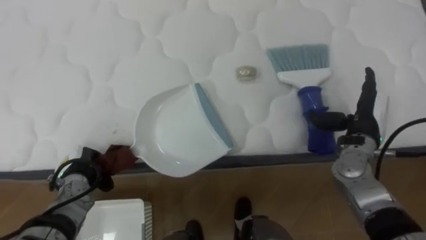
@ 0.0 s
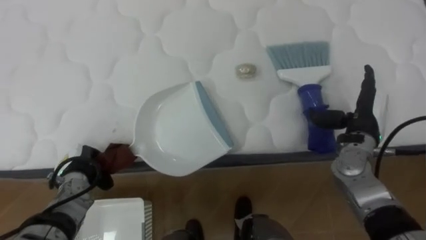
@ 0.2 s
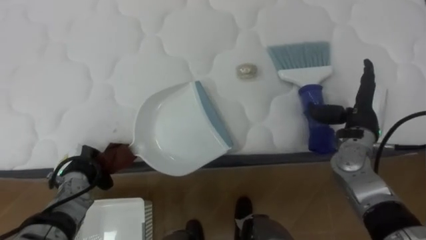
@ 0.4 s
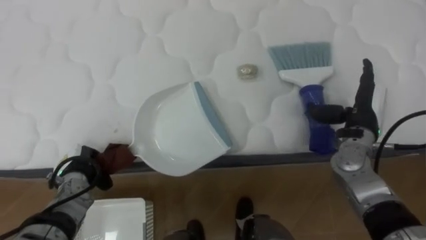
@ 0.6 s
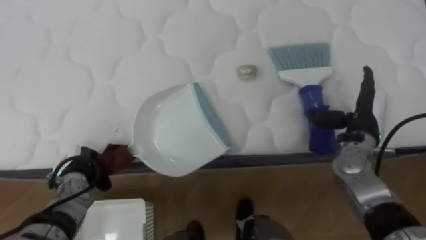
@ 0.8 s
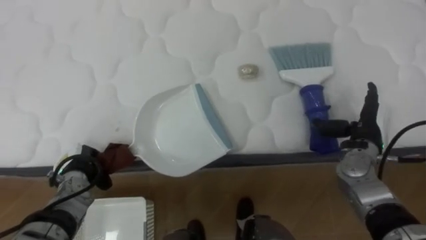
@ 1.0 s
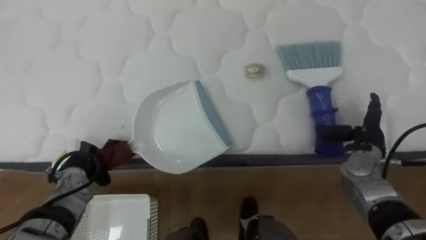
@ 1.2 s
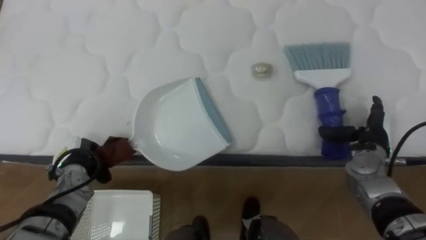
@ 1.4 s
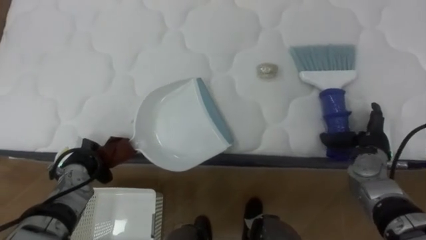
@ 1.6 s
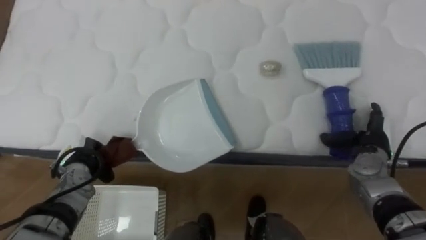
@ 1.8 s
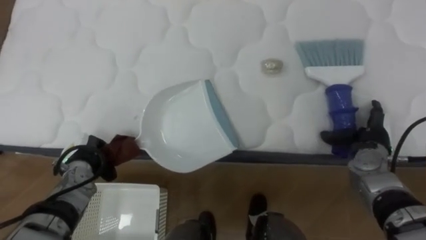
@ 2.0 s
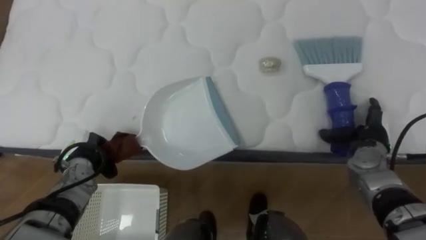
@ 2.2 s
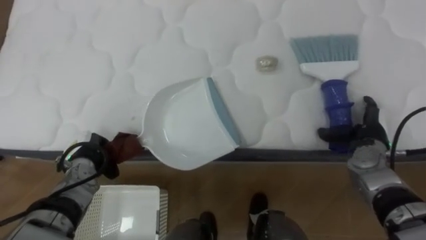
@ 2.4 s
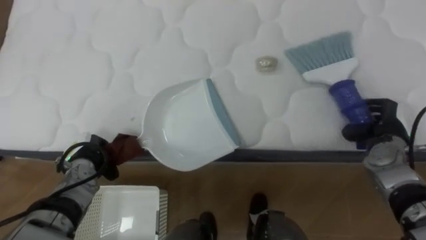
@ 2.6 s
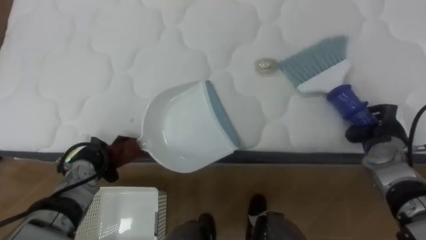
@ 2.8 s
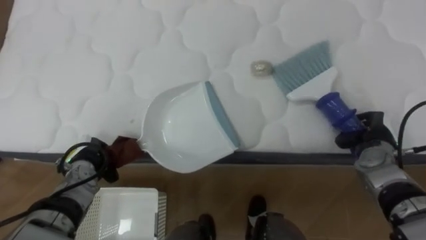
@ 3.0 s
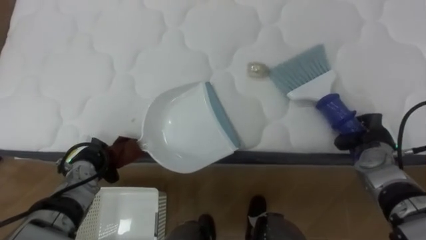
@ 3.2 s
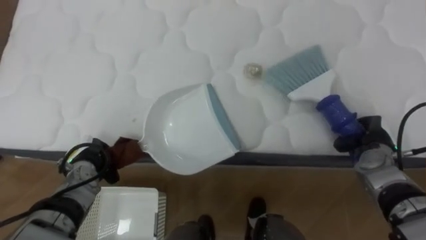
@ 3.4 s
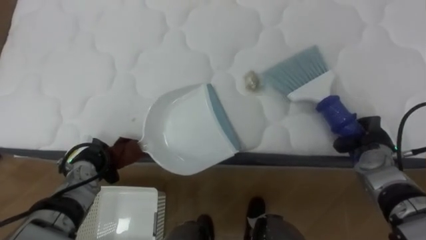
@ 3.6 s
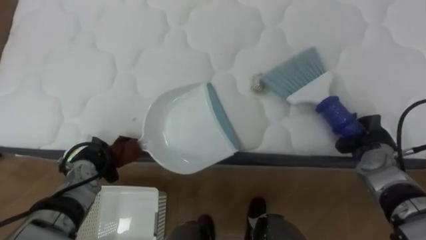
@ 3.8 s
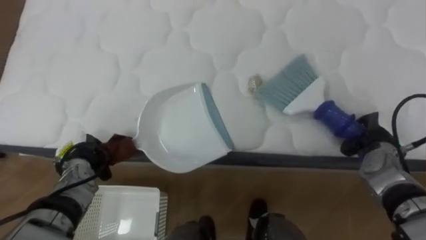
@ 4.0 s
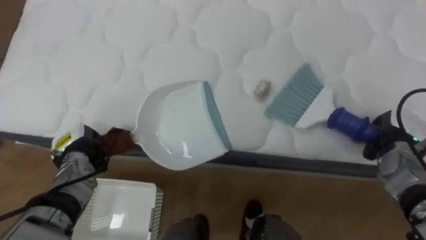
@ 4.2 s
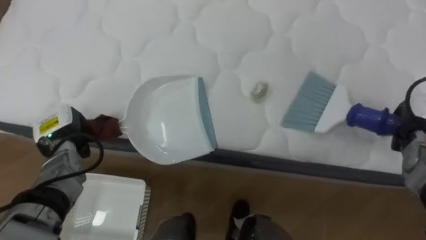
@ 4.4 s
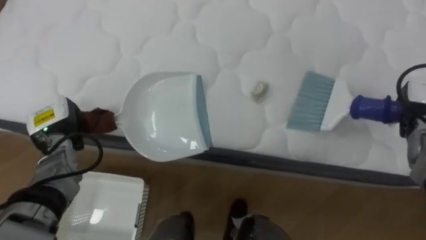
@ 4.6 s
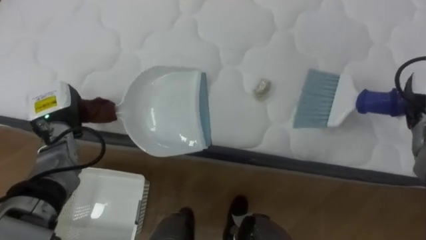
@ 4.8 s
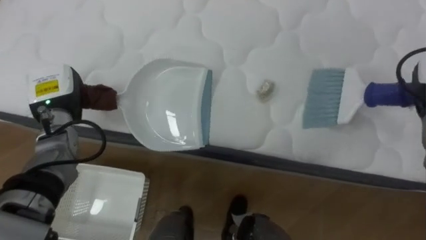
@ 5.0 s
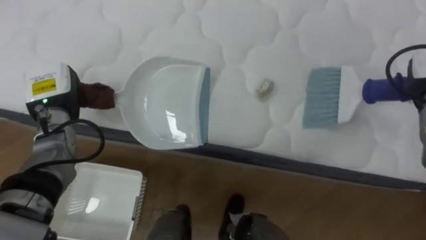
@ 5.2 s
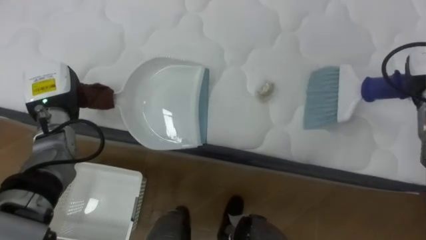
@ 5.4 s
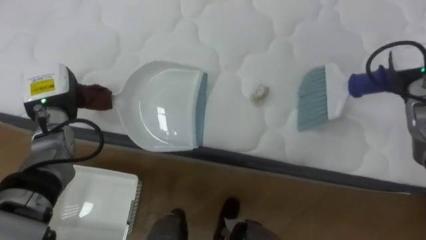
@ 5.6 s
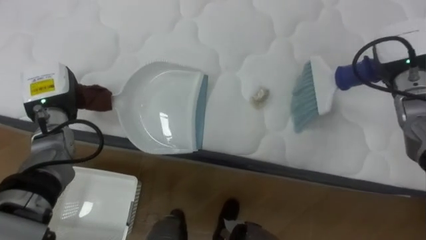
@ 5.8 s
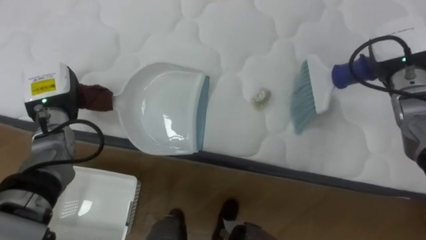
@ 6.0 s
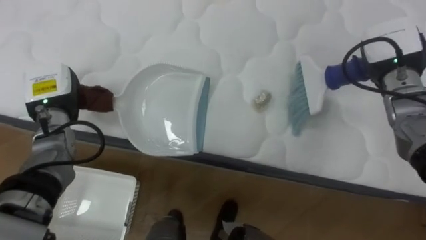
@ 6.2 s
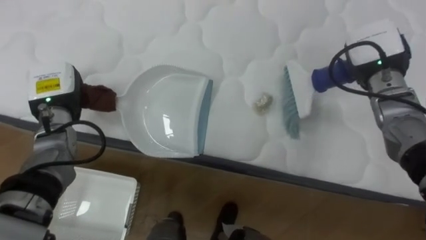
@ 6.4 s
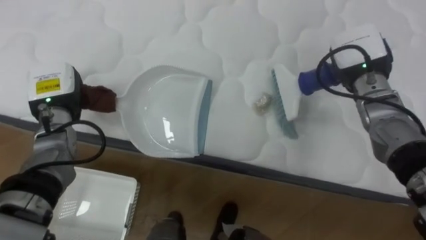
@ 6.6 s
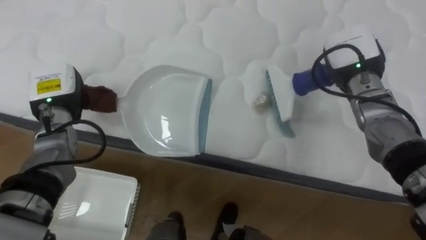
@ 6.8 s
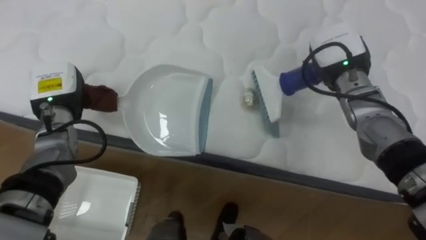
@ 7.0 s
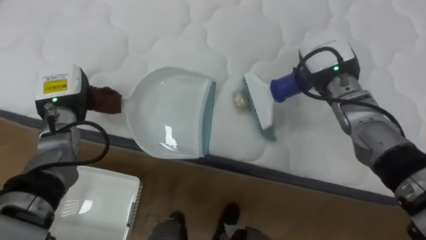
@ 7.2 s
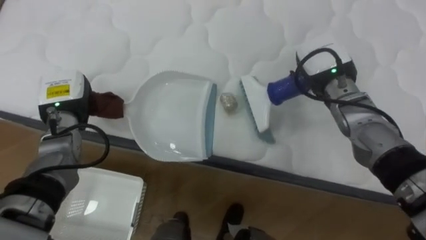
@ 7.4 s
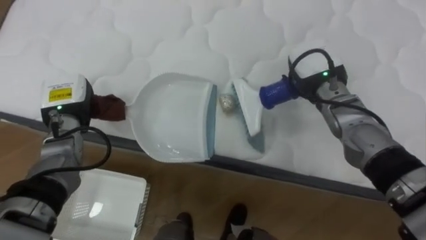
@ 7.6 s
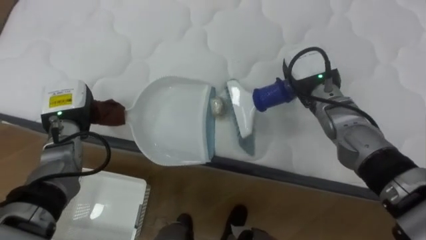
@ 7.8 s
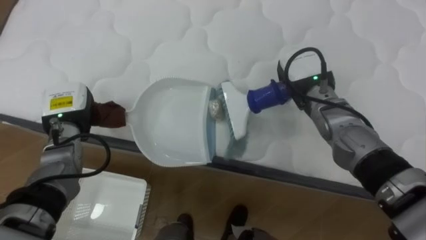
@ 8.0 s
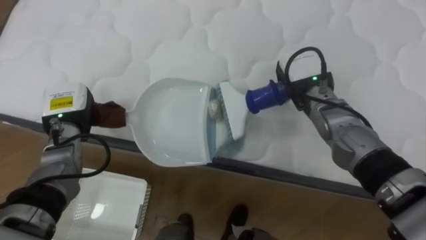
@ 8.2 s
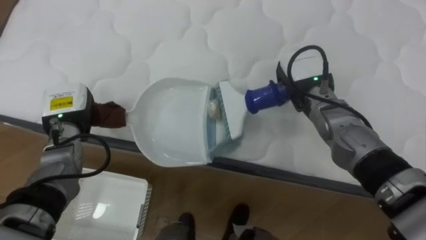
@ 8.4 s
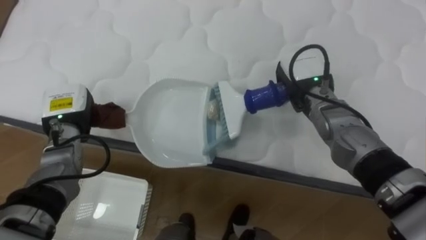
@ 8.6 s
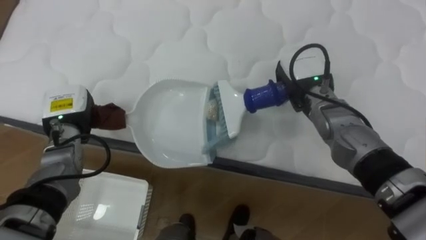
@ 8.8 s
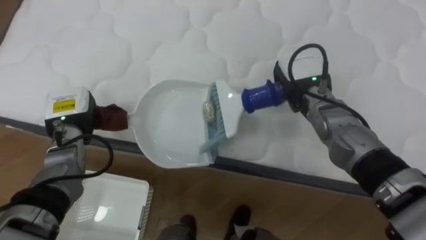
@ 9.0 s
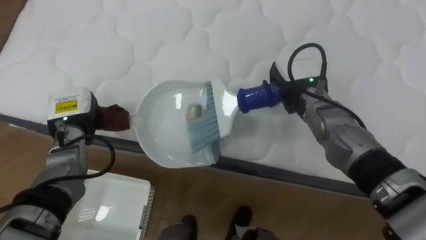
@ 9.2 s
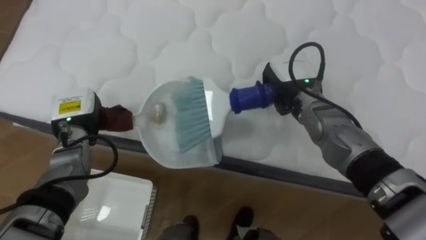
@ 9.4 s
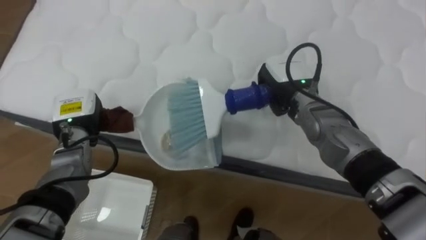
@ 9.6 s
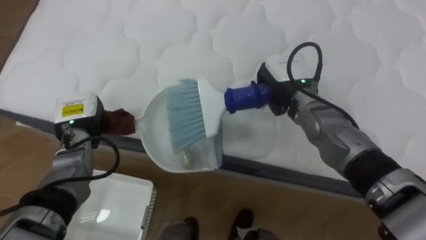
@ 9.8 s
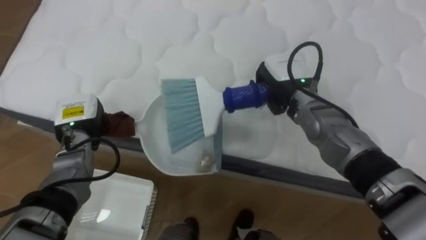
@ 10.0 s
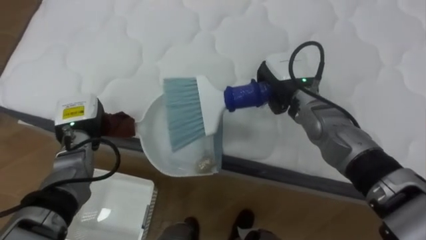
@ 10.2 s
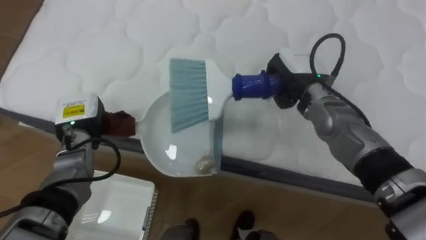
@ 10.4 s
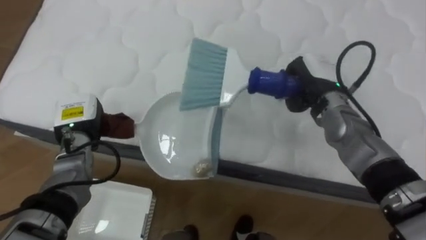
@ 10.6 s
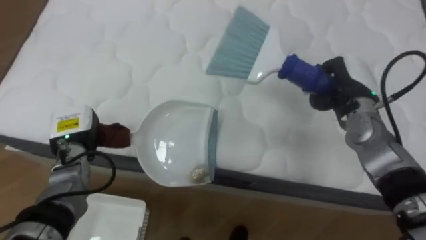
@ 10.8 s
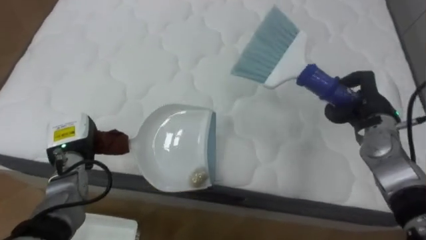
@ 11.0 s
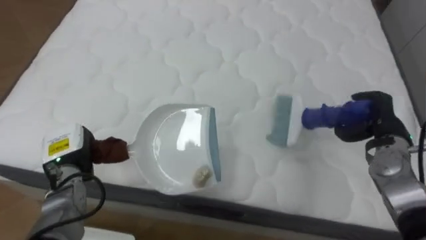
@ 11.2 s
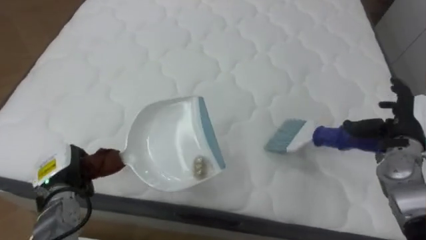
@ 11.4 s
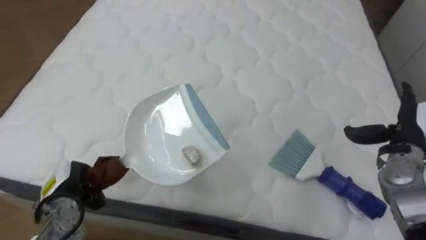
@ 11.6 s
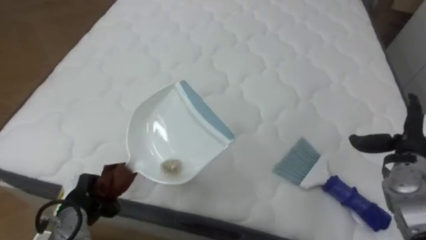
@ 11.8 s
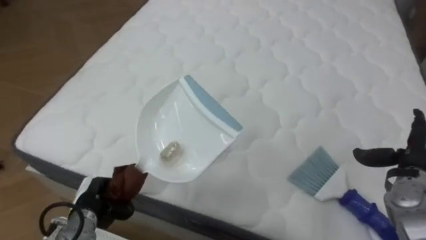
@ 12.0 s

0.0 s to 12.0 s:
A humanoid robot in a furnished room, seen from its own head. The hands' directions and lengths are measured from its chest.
Task of the whole recording: Pick up the brush on your right and the dustpan on your left. Use the brush to sweep the crumpled paper on the bed into the dustpan, then turn left and empty it into the basket.
0.0 to 1.6 s: The right hand shifts about 5 cm downward.
1.6 to 3.0 s: The right hand closes its fingers.
3.0 to 4.4 s: The right hand travels to the right by approximately 5 cm. The left hand travels upward by some 5 cm.
4.4 to 6.0 s: The left hand shifts roughly 10 cm upward.
6.0 to 7.6 s: The right hand is displaced to the left by some 15 cm.
10.4 to 12.0 s: The left hand heads backward and downward, covering about 20 cm. Meanwhile the right hand goes some 25 cm to the right, backward and downward, and opens up.

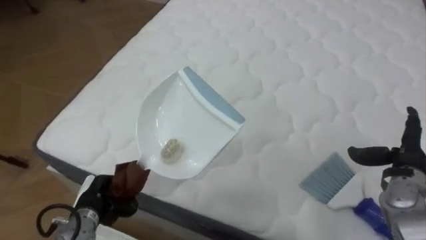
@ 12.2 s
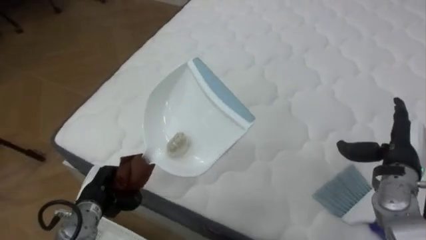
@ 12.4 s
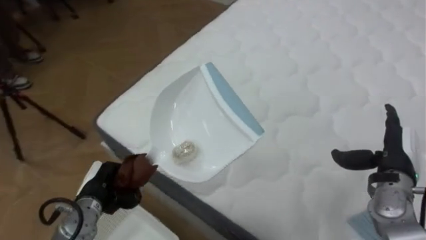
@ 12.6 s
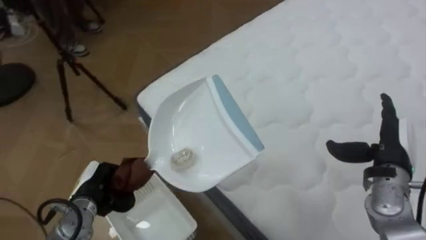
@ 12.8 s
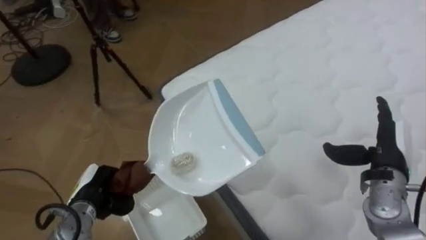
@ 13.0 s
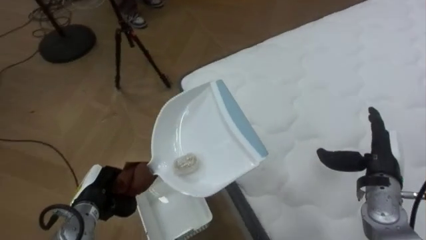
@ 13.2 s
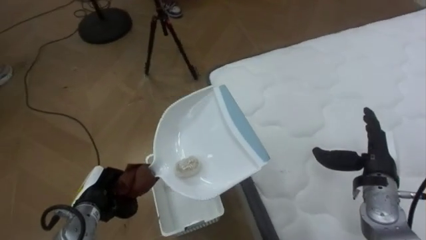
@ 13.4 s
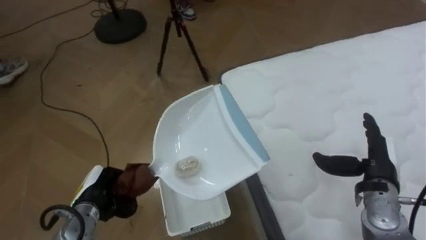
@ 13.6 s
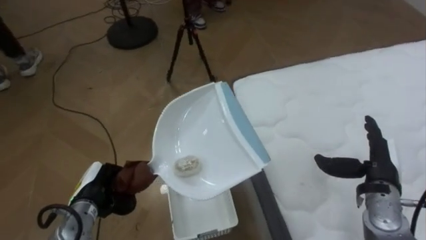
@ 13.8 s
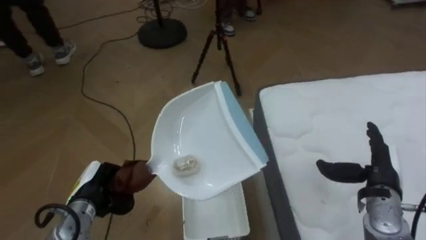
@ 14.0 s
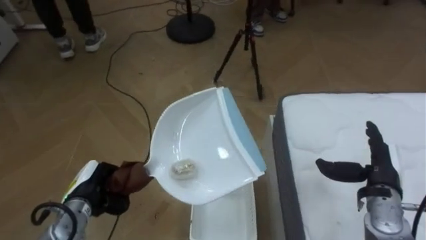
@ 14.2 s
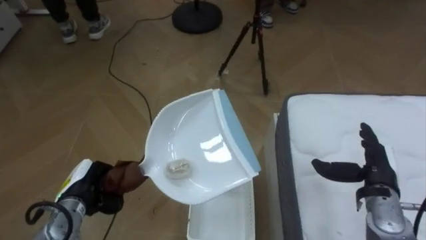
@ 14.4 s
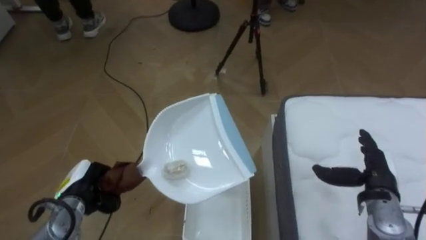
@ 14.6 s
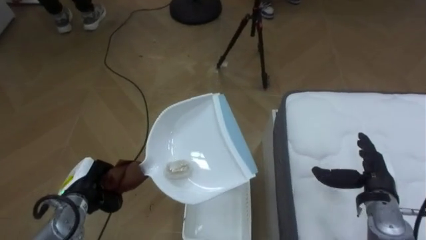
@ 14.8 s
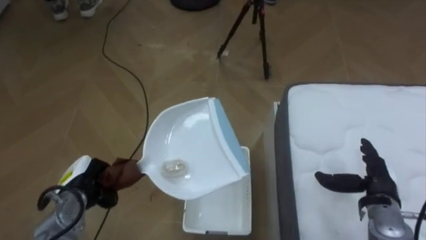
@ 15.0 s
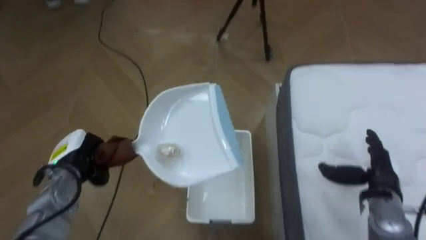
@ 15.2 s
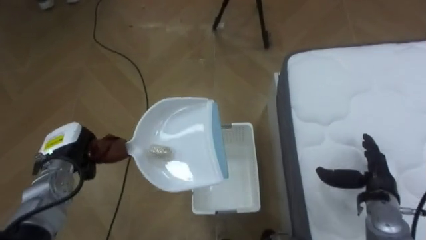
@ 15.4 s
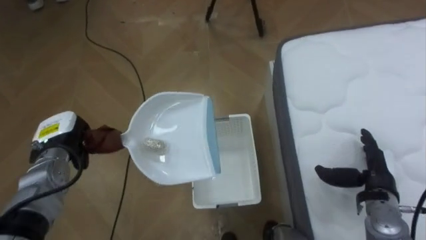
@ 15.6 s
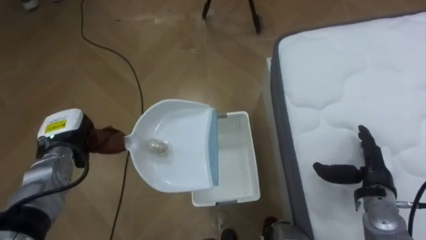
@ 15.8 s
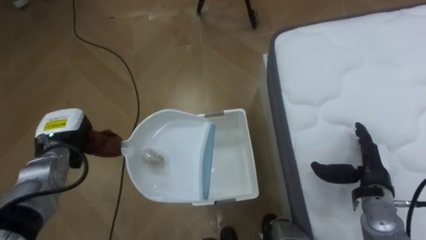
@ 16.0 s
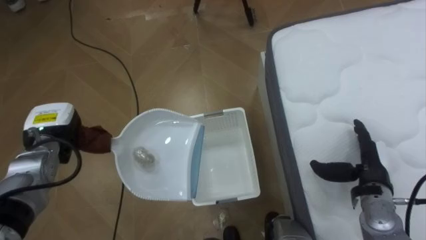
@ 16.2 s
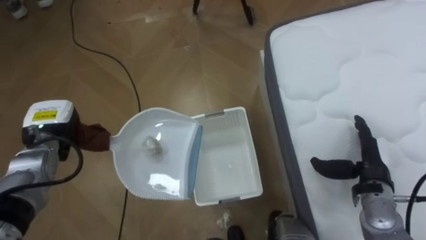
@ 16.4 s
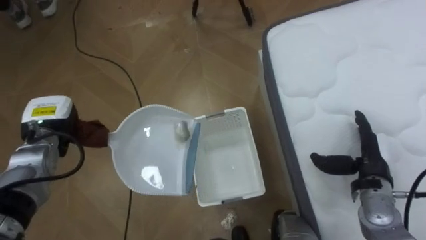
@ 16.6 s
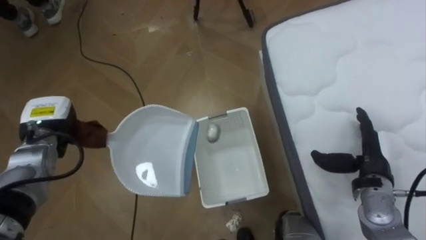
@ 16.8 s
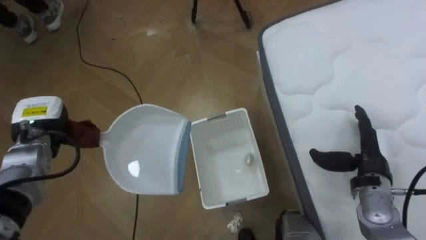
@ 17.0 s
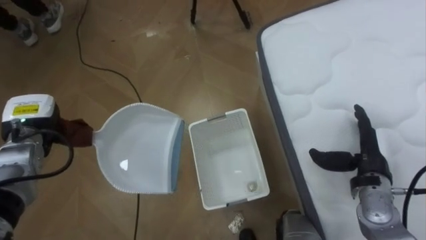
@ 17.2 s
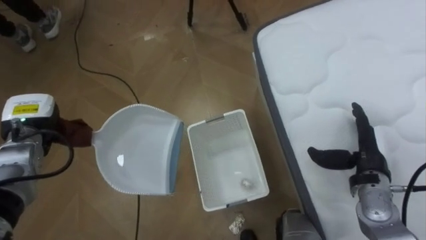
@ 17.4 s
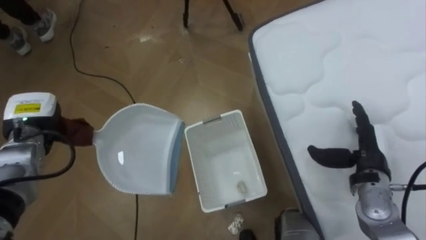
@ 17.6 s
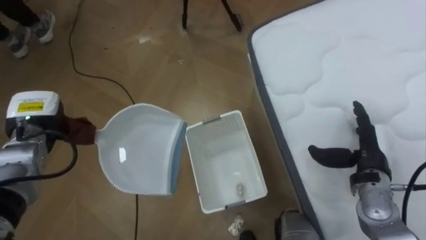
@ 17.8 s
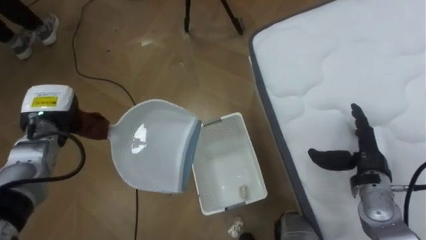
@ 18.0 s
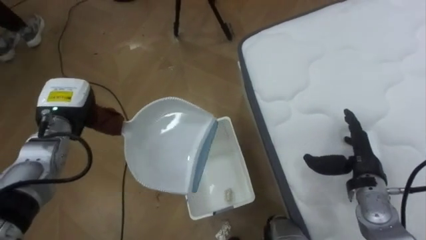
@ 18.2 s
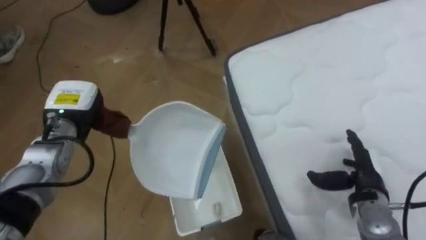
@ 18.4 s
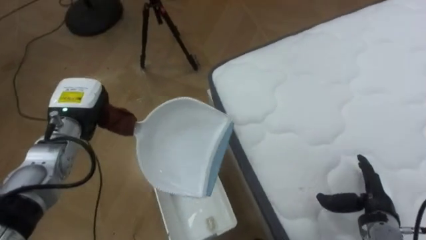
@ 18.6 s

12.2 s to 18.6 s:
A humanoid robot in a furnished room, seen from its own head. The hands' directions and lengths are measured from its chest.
Task of the whole recording: Pick up the brush on your right and the dustpan on your left. Use the brush to sweep the crumpled paper on the bed into the dustpan, then turn left and empty it into the basket.
12.2 to 13.8 s: The robot faces roughly 55 degrees further to its left. The right hand heads to the left, covering some 5 cm.
13.8 to 15.4 s: The robot rotates about 20 degrees to its left. The left hand heads forward and to the left, covering some 10 cm.
15.4 to 17.0 s: The left hand ends up some 5 cm from where it was.
17.0 to 18.6 s: The robot faces roughly 15 degrees further to its right. The left hand moves to the right, approximately 10 cm. The right hand travels downward and backward by some 10 cm.
